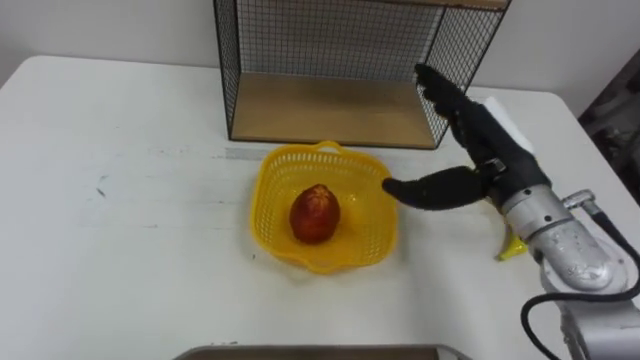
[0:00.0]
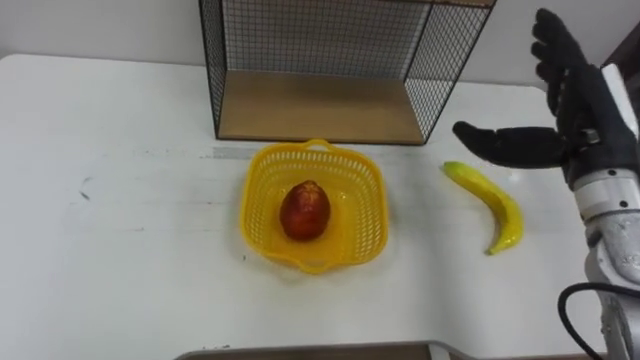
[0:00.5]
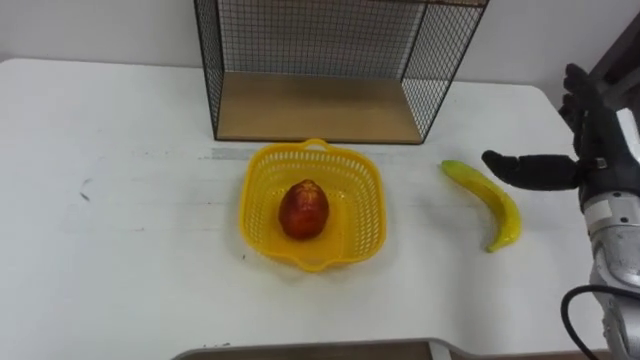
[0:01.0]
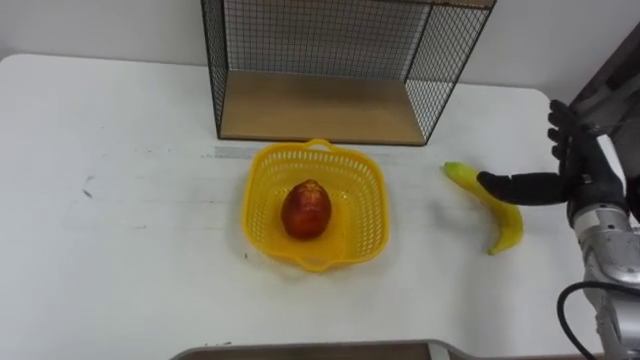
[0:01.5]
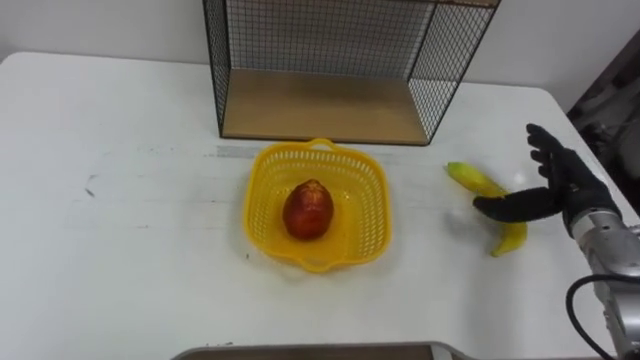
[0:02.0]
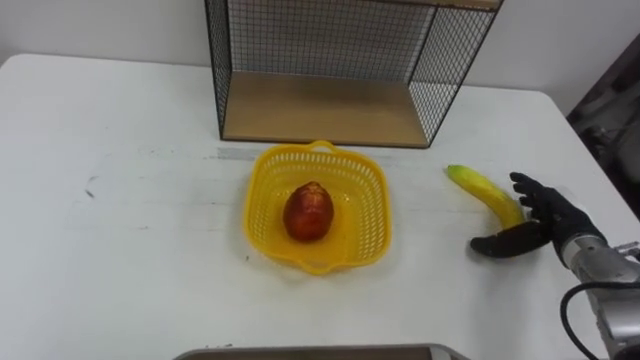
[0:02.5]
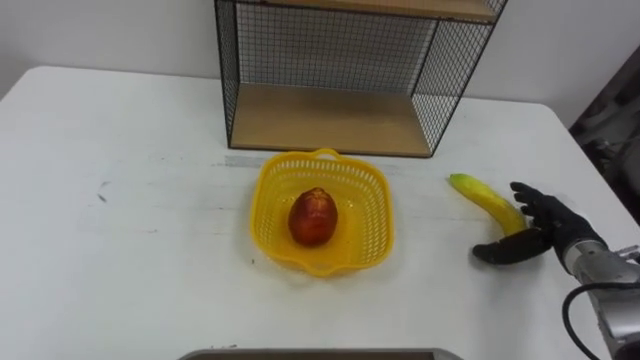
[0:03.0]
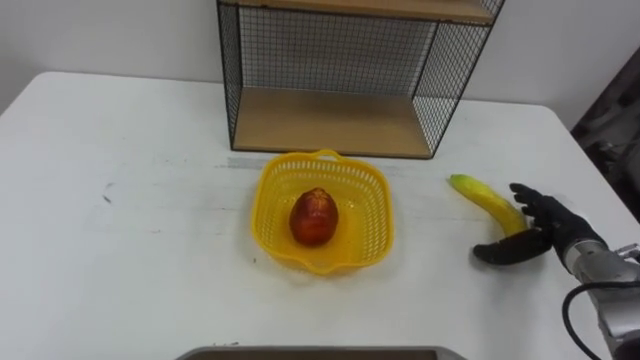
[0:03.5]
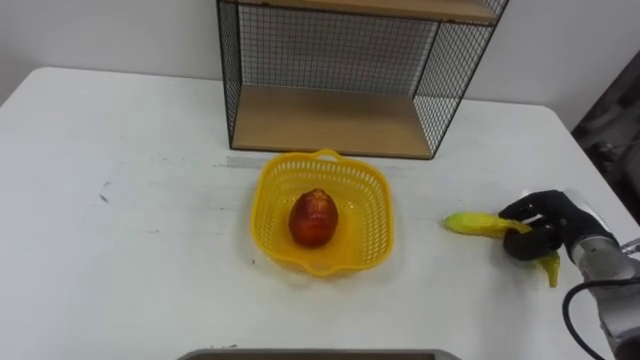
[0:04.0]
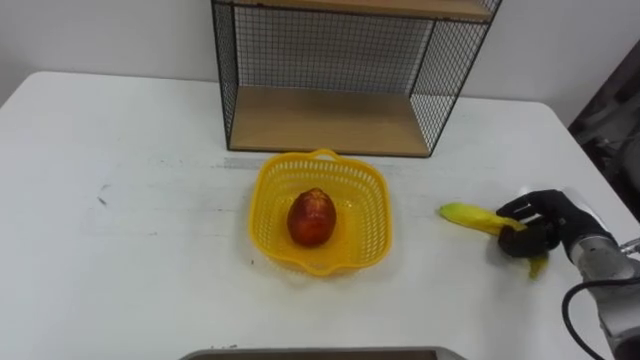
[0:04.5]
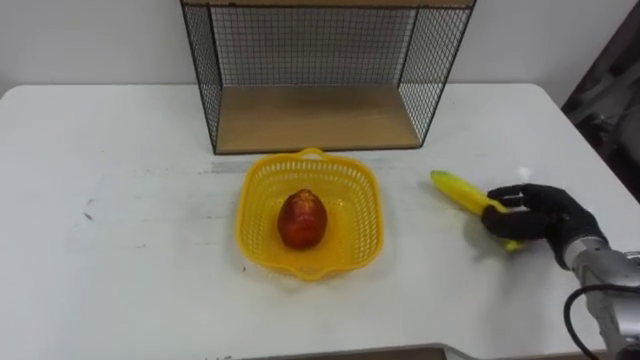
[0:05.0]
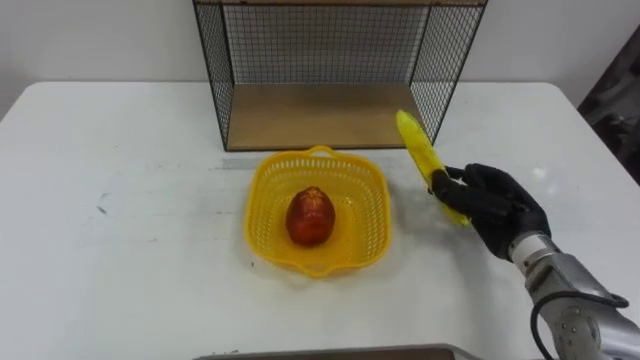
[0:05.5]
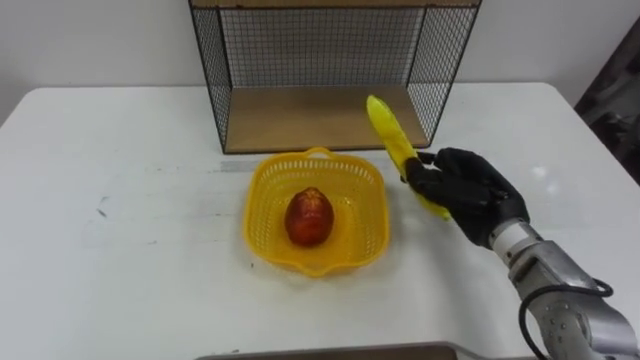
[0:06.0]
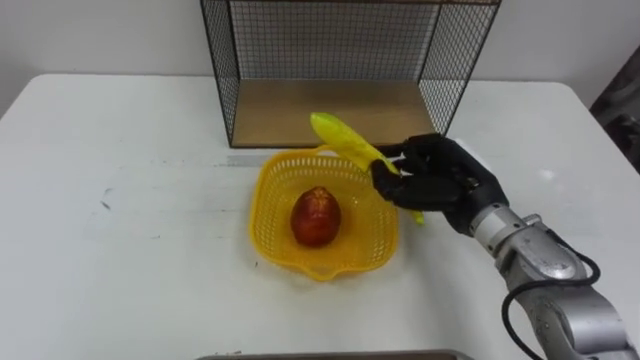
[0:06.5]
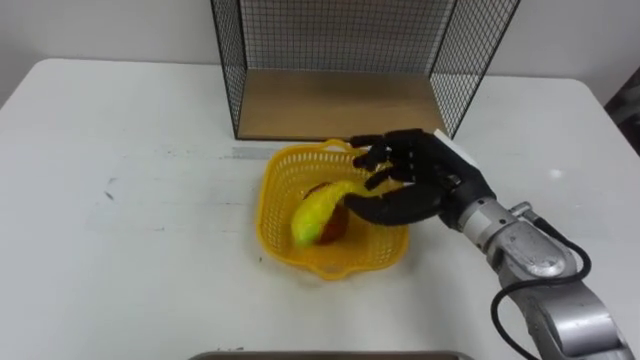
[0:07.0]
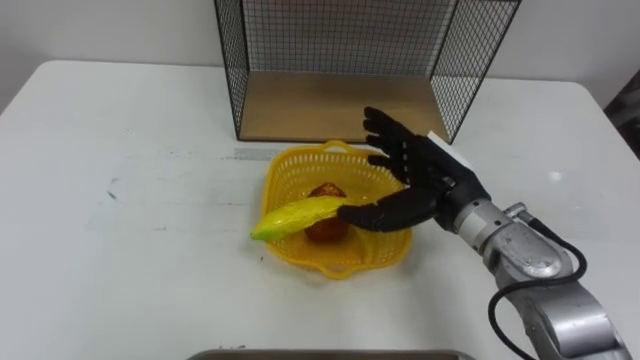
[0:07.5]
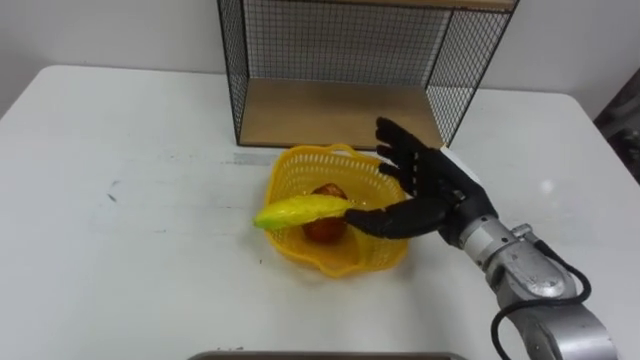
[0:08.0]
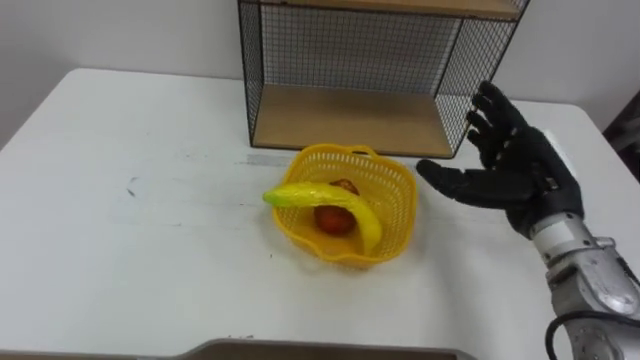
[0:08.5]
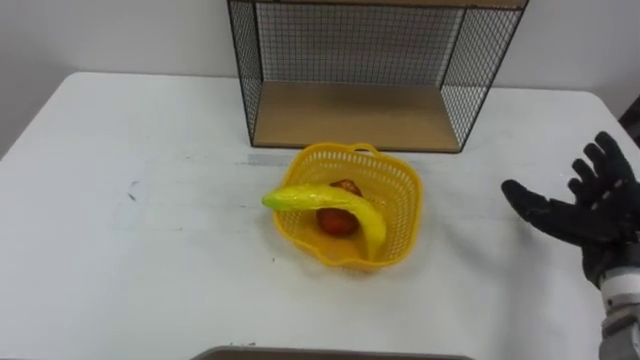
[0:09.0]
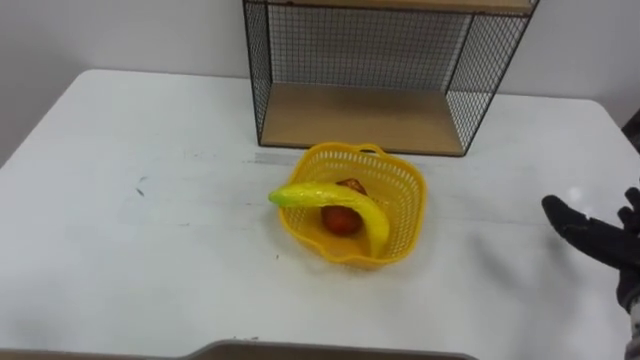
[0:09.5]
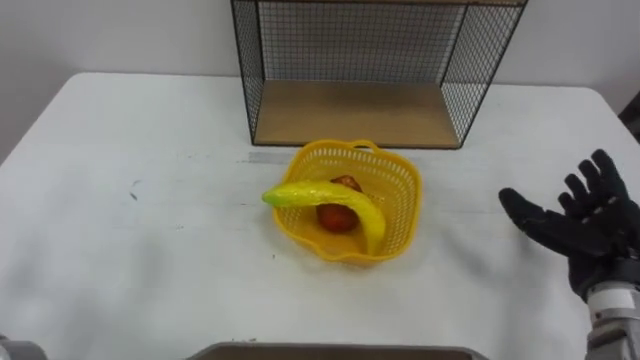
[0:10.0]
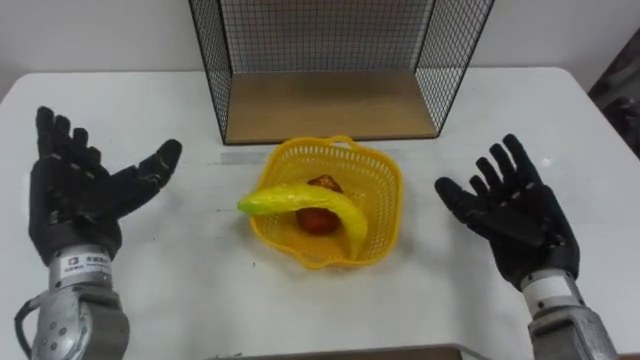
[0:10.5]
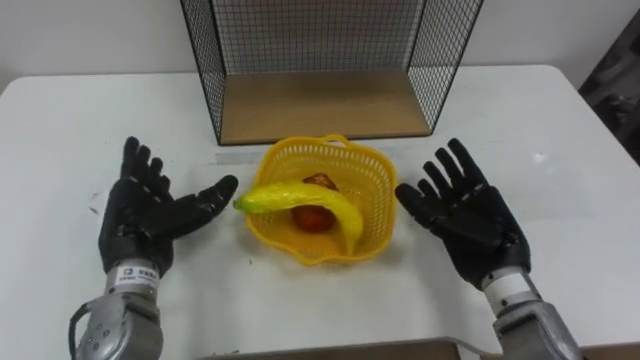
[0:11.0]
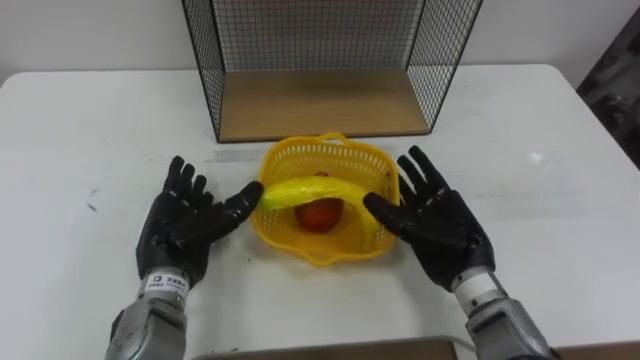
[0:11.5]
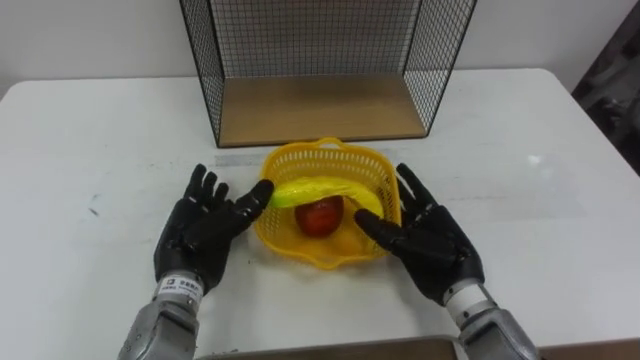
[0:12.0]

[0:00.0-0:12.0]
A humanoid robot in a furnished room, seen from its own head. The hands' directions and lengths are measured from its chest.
Task of the whole recording: Put the fruit on the table into the basket, then place the basket on the shelf.
0:00.0 to 0:02.0: The right hand heads to the right and downward, covering some 15 cm.
0:02.0 to 0:04.0: The right hand travels downward by about 5 cm, and closes.
0:04.0 to 0:06.0: The right hand moves to the left and upward, about 15 cm.
0:06.0 to 0:08.0: The right hand travels to the left by roughly 5 cm, and opens its fingers.
0:10.0 to 0:12.0: The right hand is displaced to the left by roughly 15 cm.

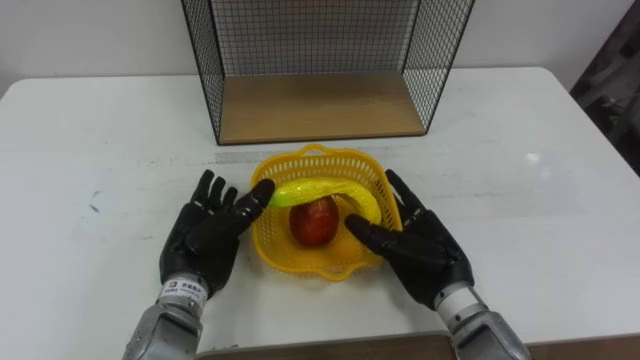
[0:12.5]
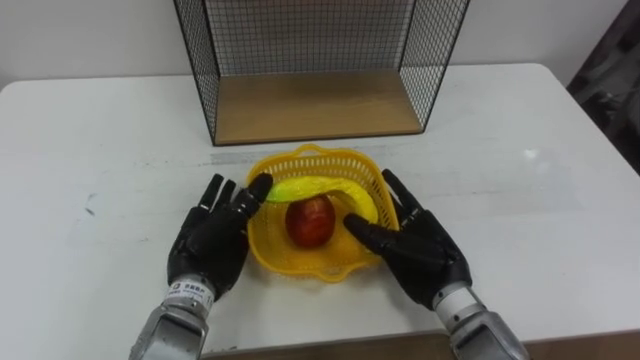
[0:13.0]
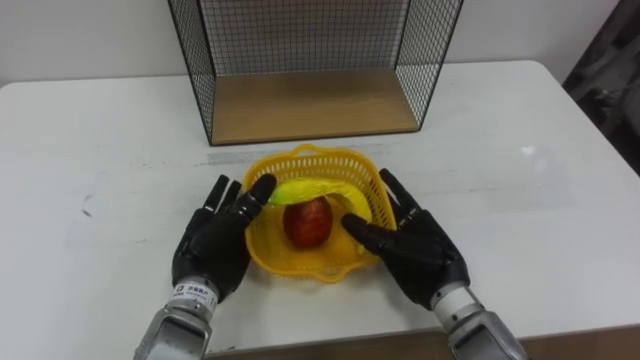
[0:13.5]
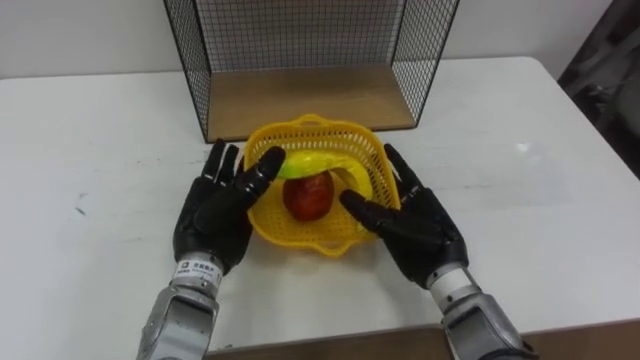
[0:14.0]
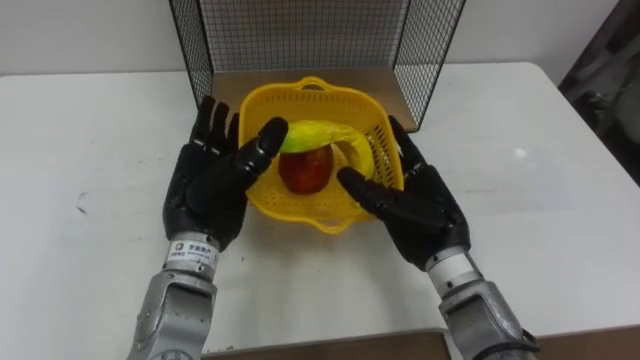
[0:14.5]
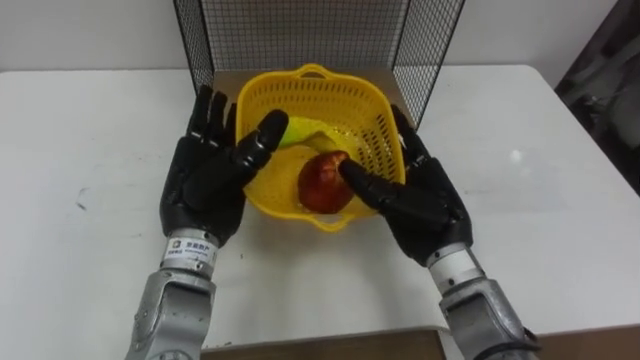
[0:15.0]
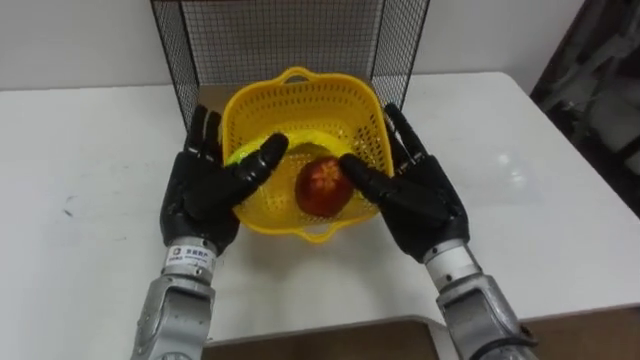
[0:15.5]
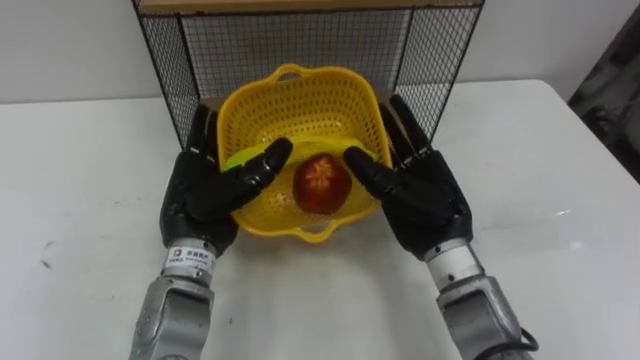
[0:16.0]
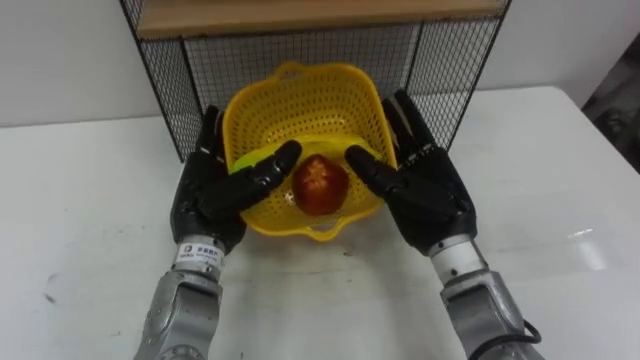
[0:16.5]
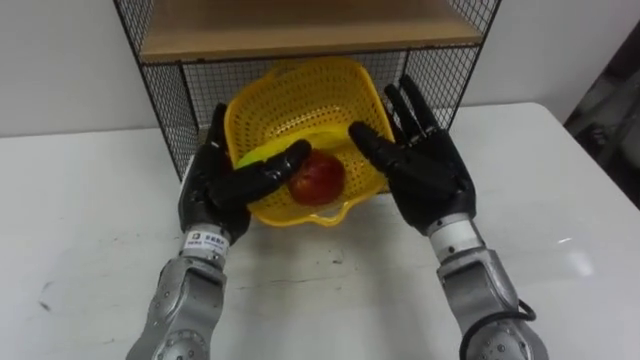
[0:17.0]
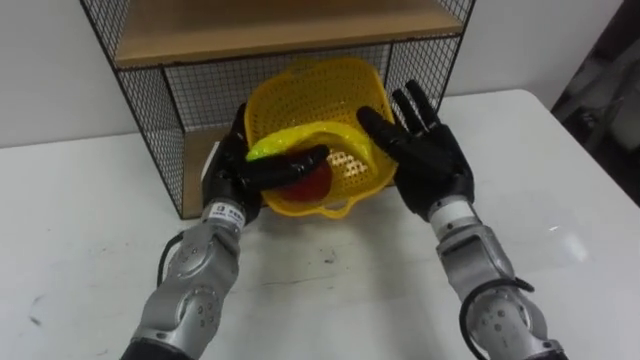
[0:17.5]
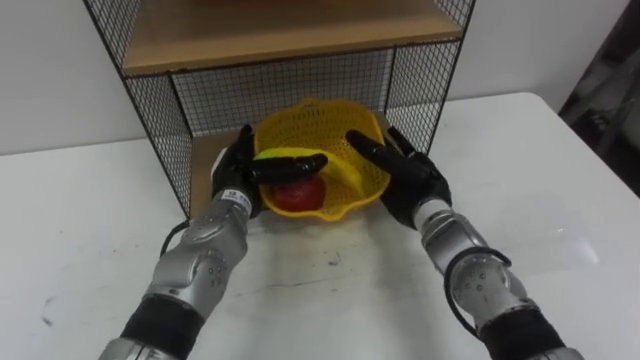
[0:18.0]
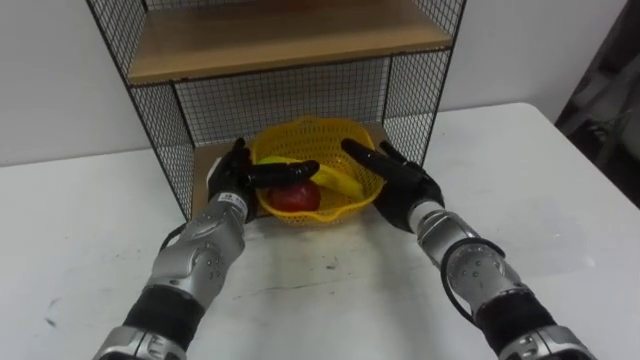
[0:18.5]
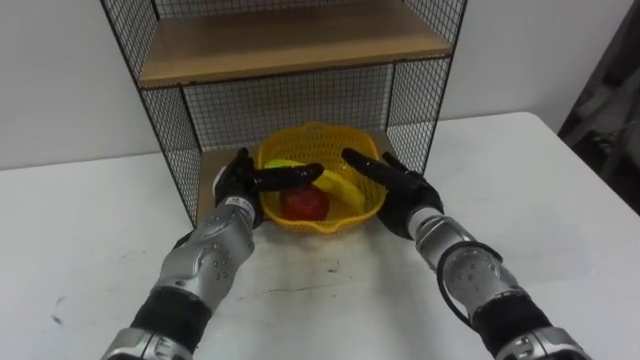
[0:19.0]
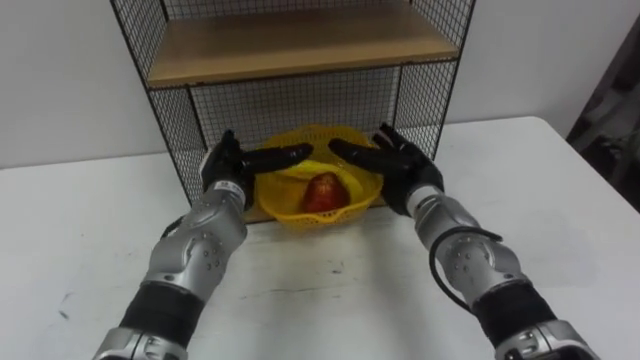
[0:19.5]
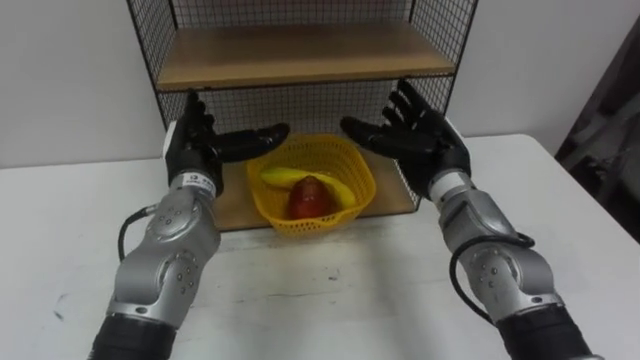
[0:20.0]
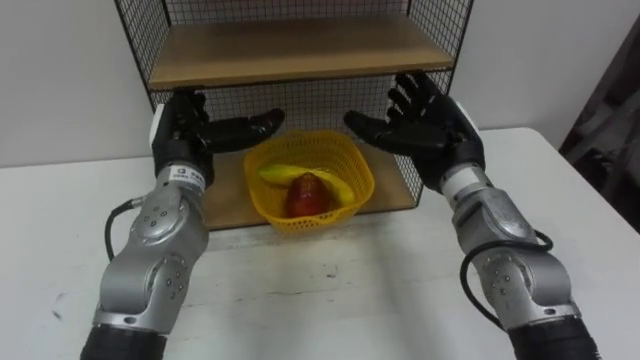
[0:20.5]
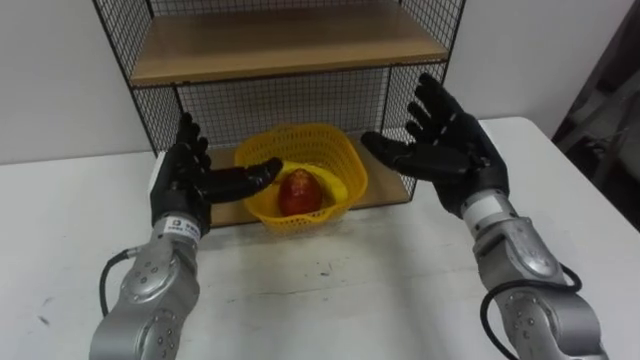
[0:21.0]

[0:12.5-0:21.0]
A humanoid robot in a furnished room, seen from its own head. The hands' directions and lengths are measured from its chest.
Task of the whole recording: Put the fruit on the table into the basket, then place the basket on the shelf.
0:12.5 to 0:14.5: The two hands go approximately 5 cm upward.
0:16.5 to 0:19.0: Both hands travel together downward and forward, roughly 10 cm.
0:19.0 to 0:21.0: The right hand heads upward and to the right, covering about 15 cm, while the left hand moves to the left and upward, roughly 10 cm.
